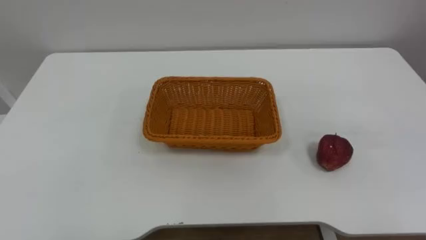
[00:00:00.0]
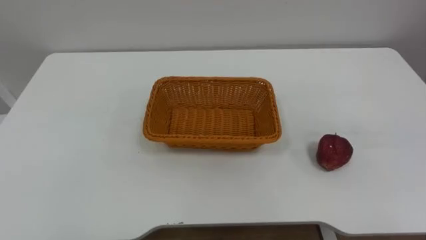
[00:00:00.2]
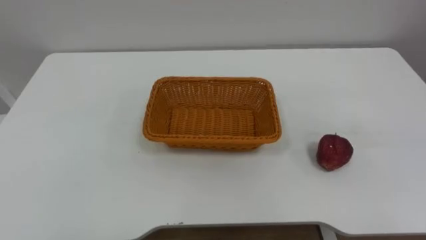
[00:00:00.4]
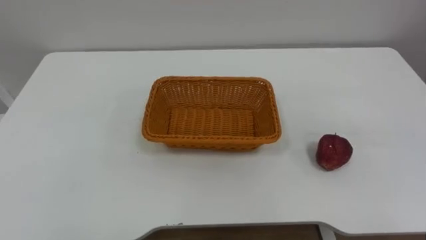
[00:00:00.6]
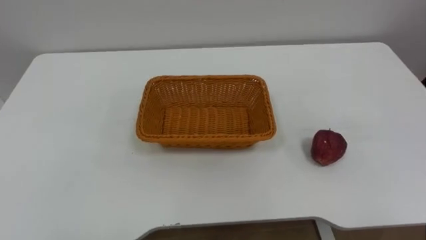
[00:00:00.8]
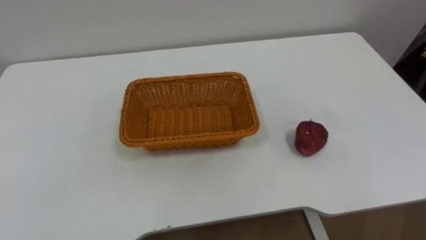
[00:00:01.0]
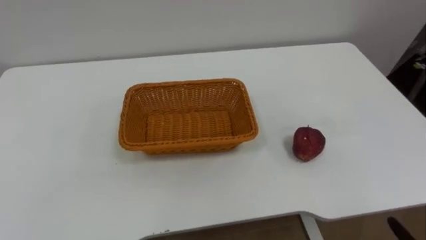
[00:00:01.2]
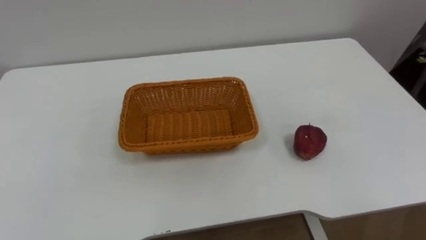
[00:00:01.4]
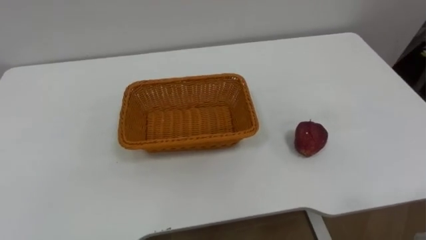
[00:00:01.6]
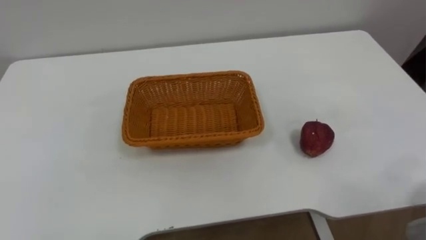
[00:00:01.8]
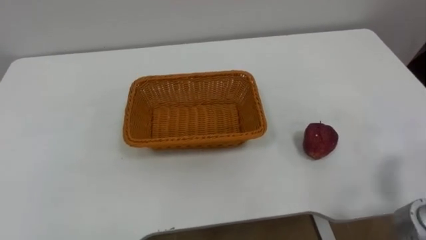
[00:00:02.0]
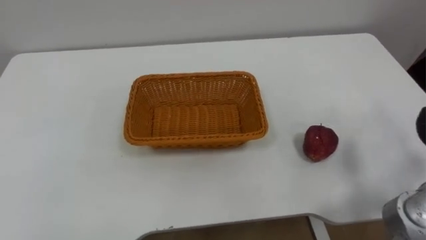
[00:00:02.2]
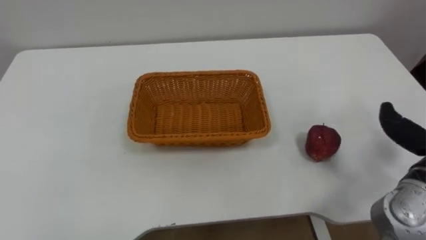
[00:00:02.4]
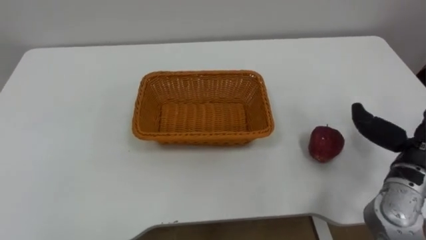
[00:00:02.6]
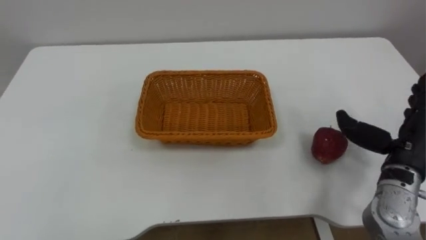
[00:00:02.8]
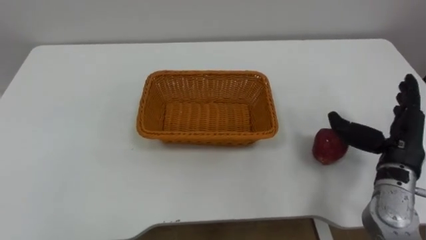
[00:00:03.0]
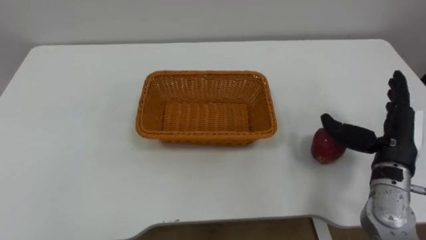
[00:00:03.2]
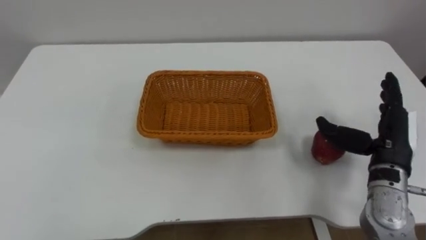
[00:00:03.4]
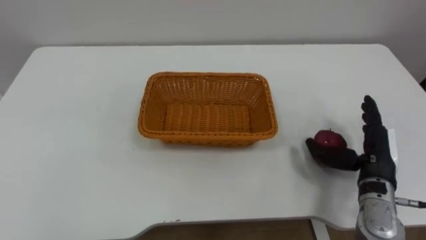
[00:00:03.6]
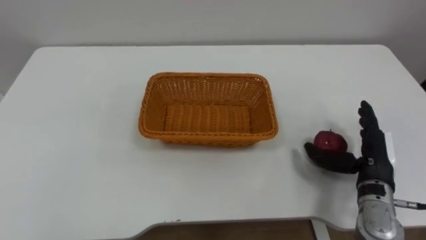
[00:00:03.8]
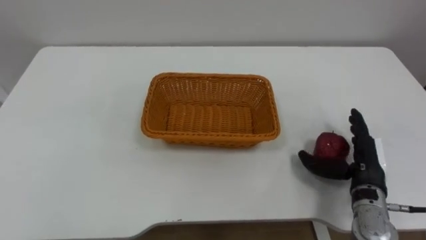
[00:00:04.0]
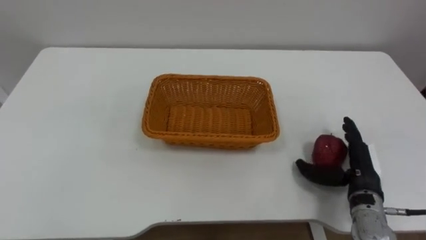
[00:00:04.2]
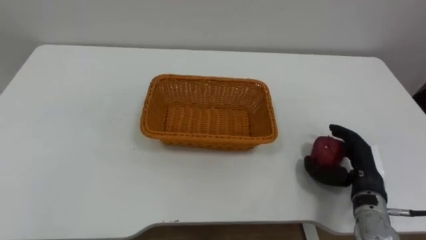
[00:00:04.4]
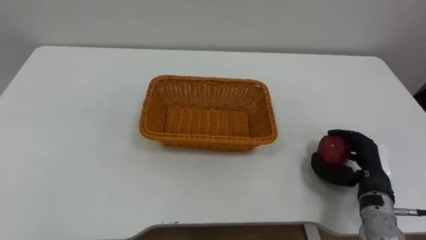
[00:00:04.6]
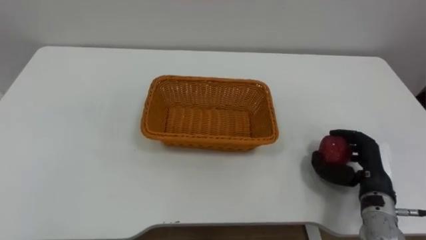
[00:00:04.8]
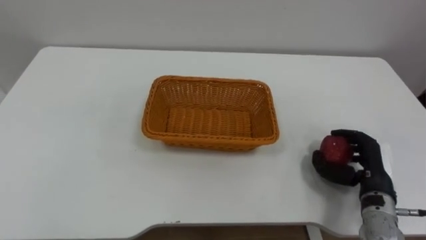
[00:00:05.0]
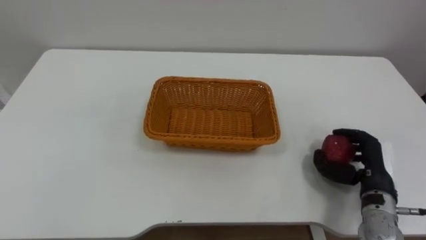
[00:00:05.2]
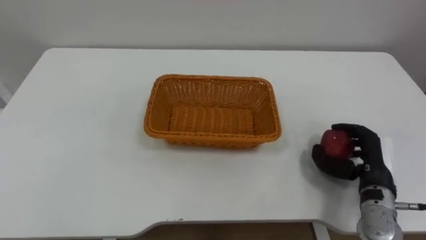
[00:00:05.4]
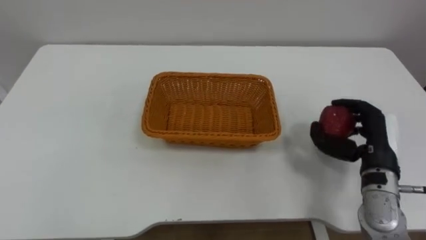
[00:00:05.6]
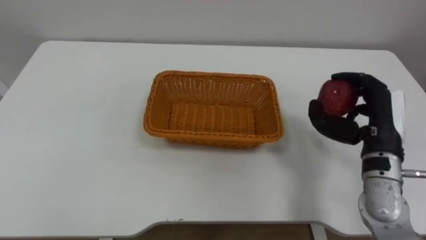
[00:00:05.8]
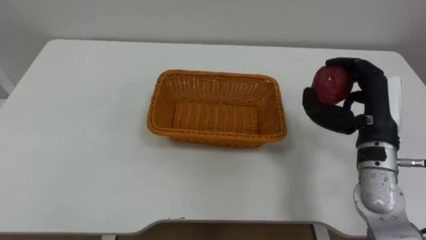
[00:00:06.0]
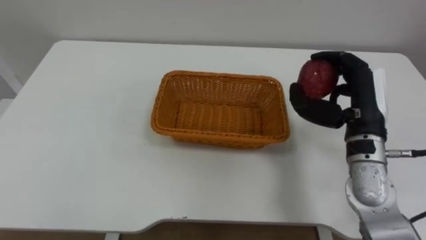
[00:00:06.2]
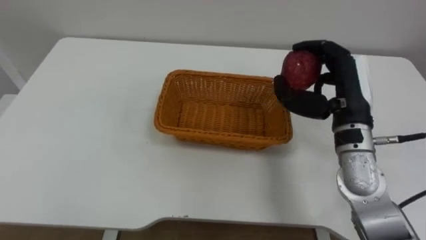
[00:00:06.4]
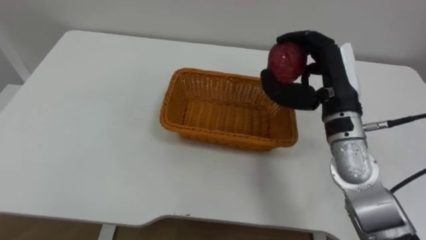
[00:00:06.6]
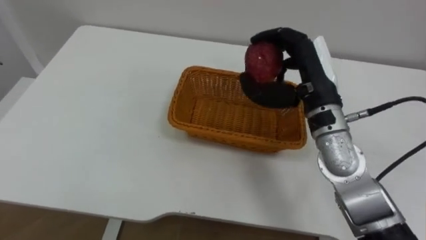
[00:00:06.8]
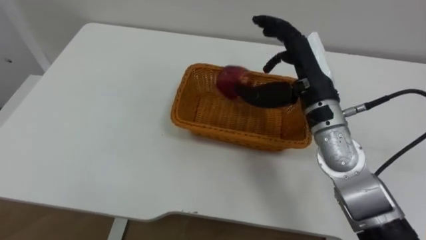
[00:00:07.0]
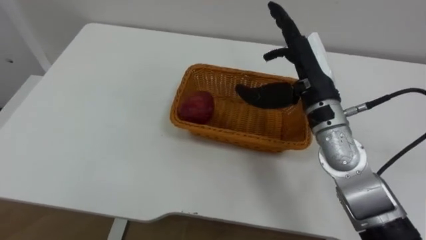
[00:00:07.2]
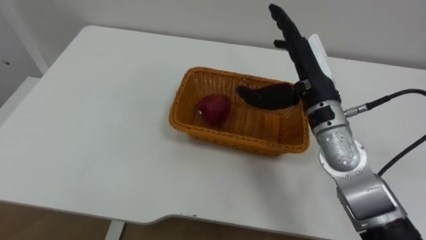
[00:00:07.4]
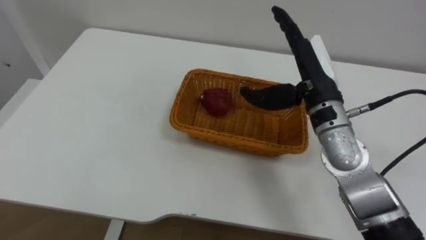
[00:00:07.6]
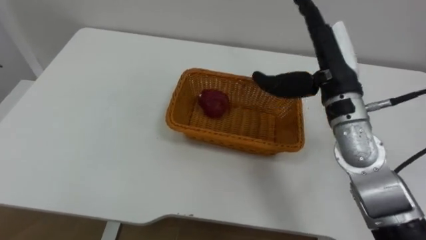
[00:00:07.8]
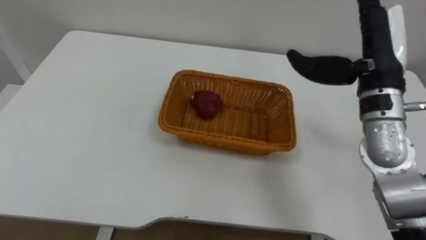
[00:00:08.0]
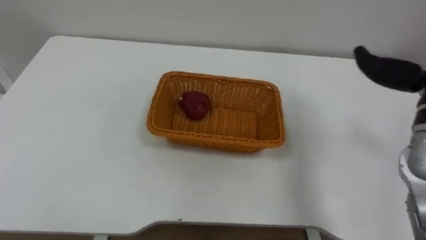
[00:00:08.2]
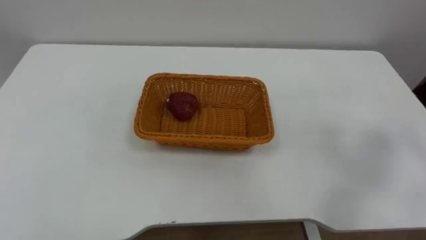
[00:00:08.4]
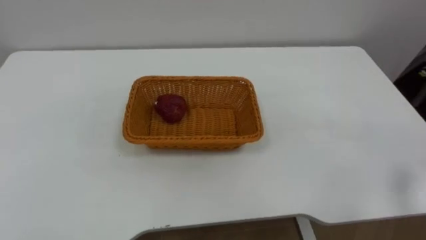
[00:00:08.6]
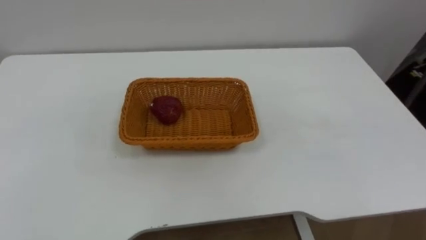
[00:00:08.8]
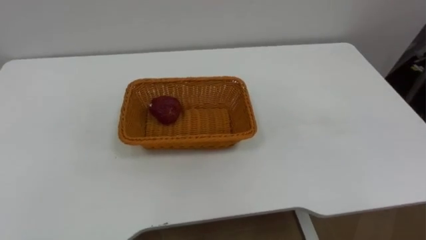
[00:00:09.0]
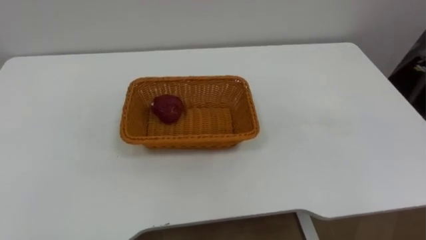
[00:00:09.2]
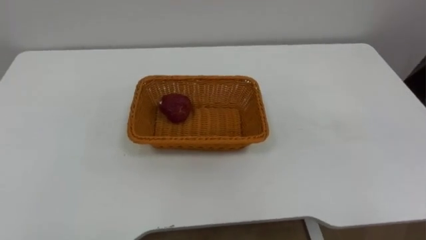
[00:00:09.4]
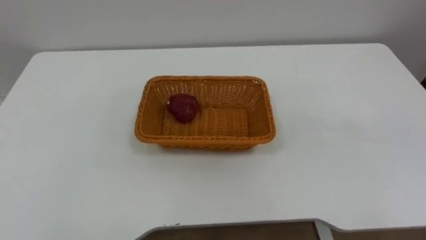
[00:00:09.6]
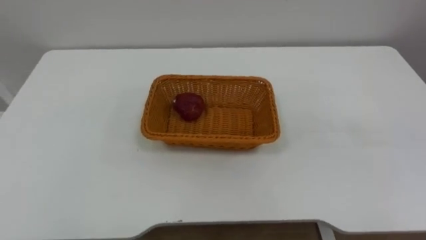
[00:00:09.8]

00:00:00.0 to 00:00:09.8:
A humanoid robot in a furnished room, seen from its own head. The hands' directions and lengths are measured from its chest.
Task of the whole recording: Pick the apple and place it in the box.
00:00:02.8 to 00:00:04.2: The right hand travels downward by some 10 cm.
00:00:04.2 to 00:00:05.6: The right hand goes some 5 cm upward, and closes up.
00:00:05.6 to 00:00:07.0: The right hand travels to the left, upward and forward by some 20 cm.
